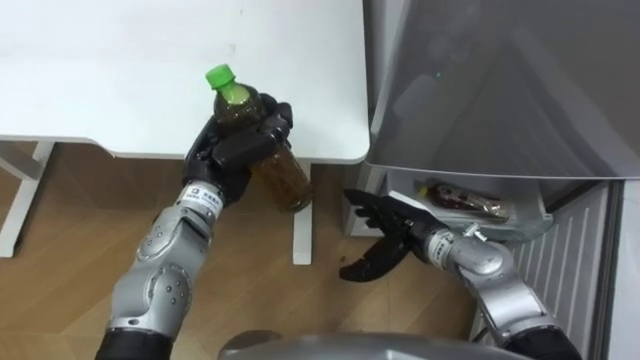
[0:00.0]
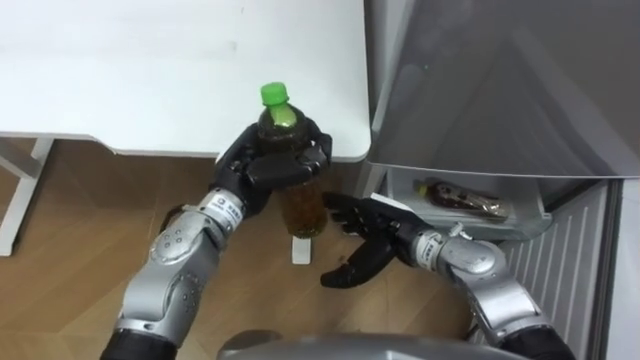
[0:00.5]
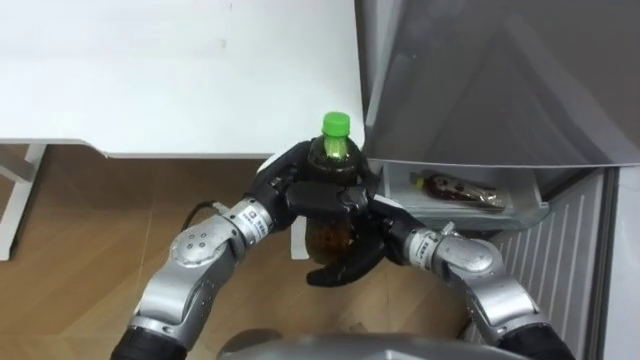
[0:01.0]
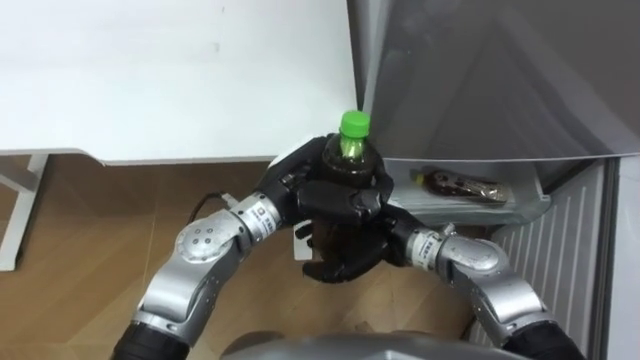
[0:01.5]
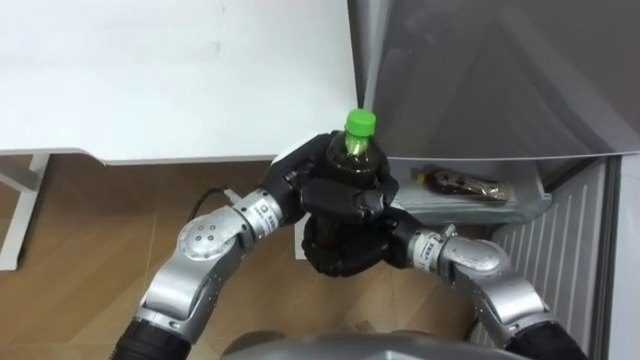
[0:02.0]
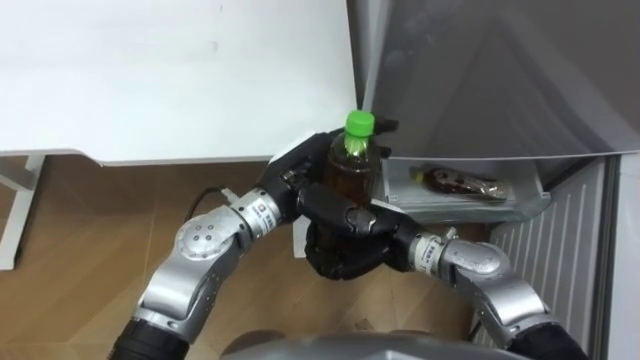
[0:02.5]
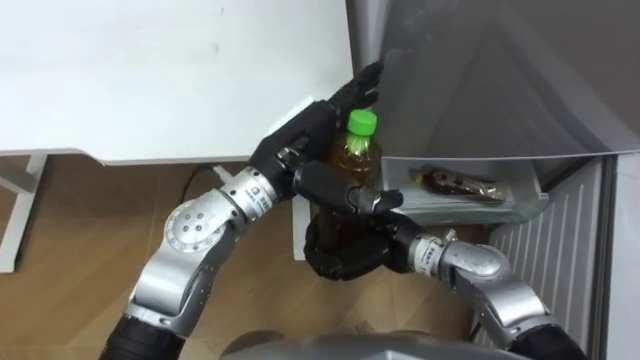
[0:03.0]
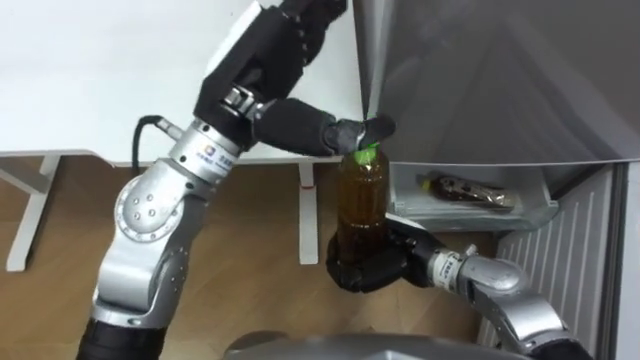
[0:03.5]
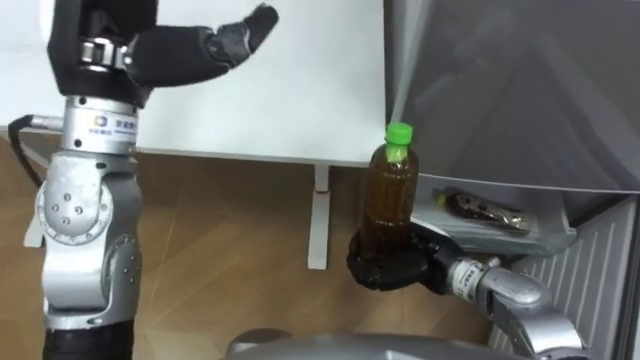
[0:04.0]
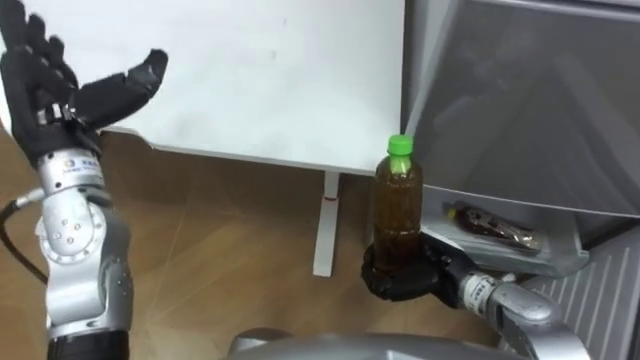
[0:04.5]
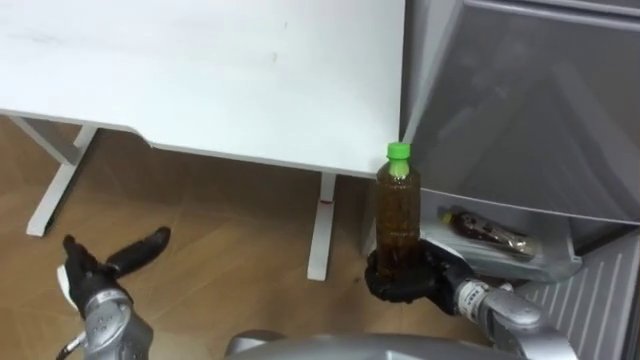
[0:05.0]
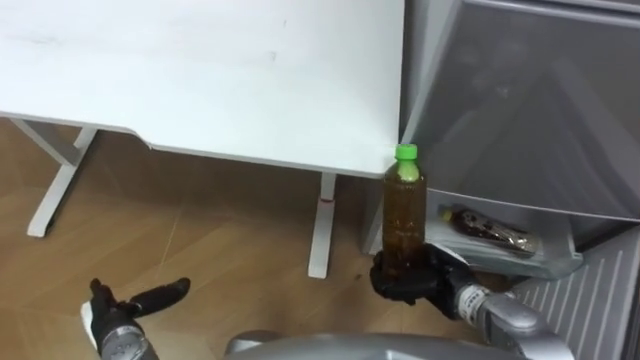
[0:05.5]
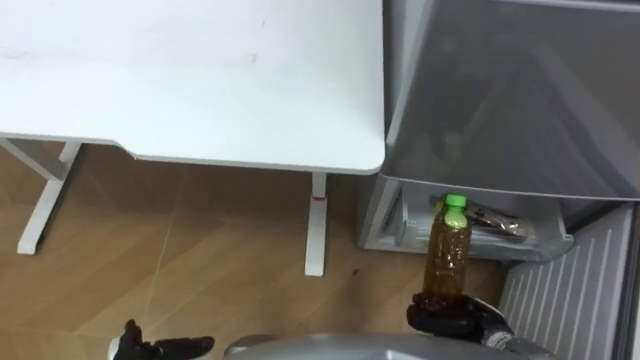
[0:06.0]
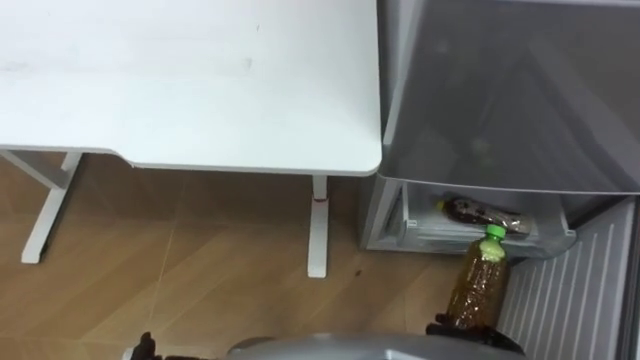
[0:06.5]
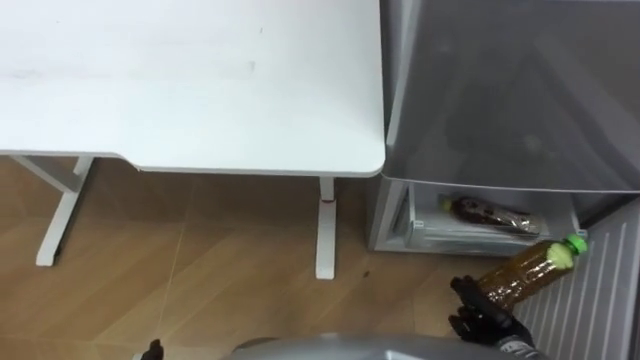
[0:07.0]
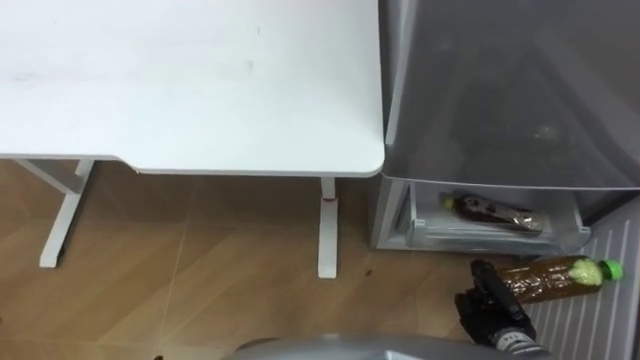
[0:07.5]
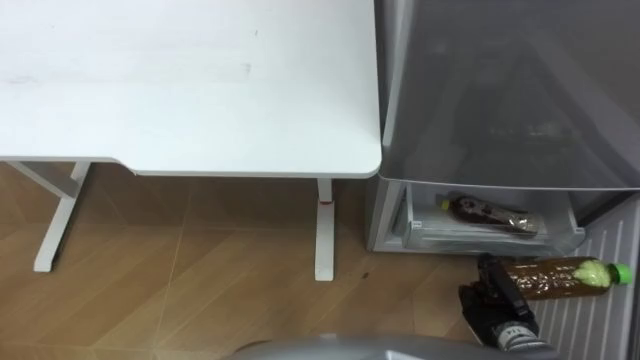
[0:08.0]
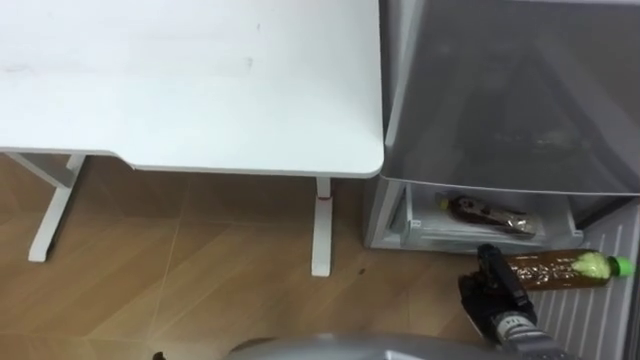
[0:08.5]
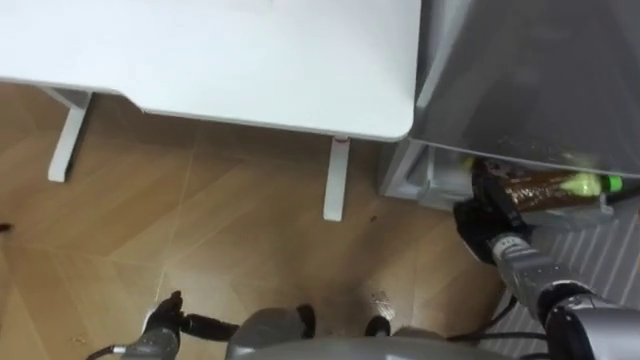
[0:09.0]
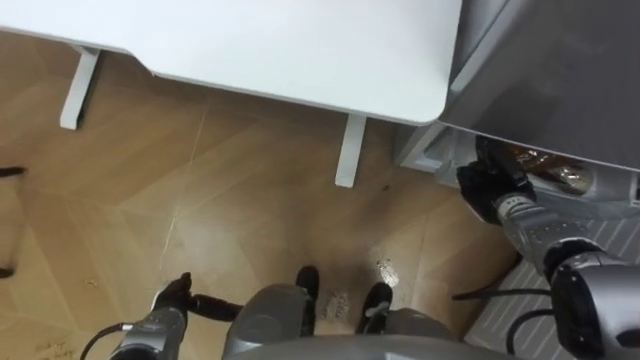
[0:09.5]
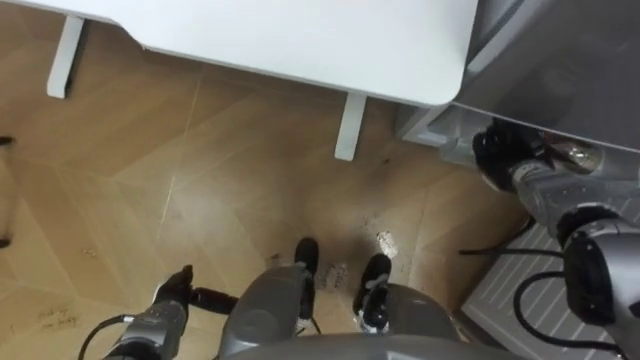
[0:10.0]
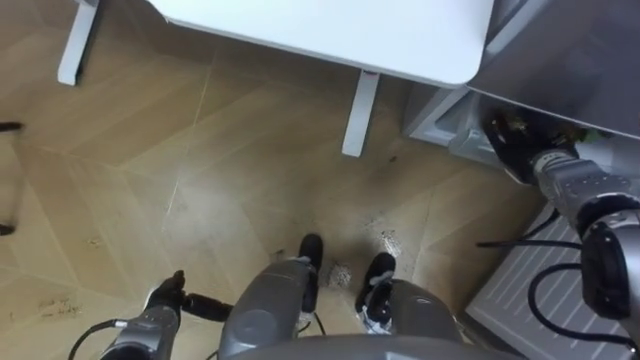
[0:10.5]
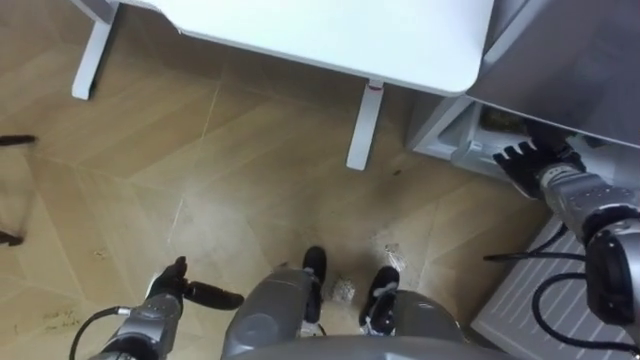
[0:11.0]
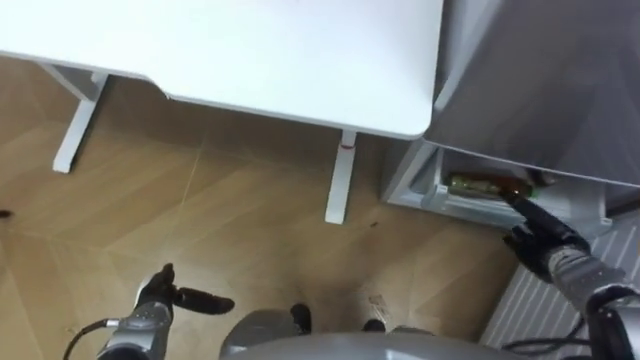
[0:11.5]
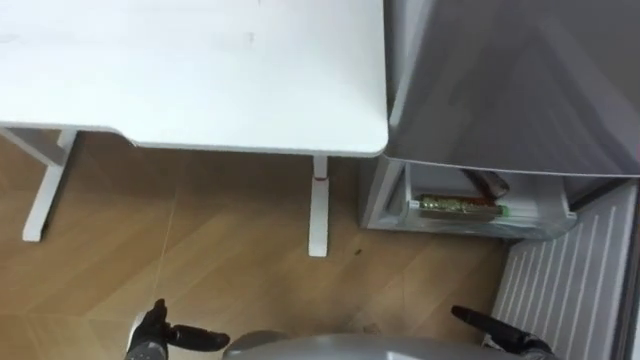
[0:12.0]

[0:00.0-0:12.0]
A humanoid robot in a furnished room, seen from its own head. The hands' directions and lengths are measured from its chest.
Task of the whole recording: Place the drink on the table on the bottom shelf of the refrigerator, then close the drawer and the refrigerator door.
0:00.0 to 0:02.0: The right hand ends up about 5 cm from where it was, and closes up. Meanwhile the left hand moves to the right, approximately 10 cm.
0:02.0 to 0:04.0: The right hand moves to the right, approximately 5 cm; the left hand is displaced upward and to the left by some 25 cm, and opens up.
0:04.0 to 0:06.0: The right hand travels downward, backward and to the right by approximately 15 cm.
0:08.0 to 0:10.0: The right hand is displaced forward and upward by about 25 cm.
0:10.0 to 0:12.0: The left hand changes place by approximately 5 cm; the right hand shifts about 30 cm backward and downward, and opens up.

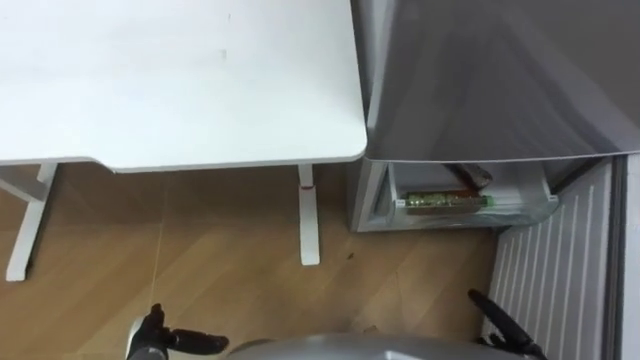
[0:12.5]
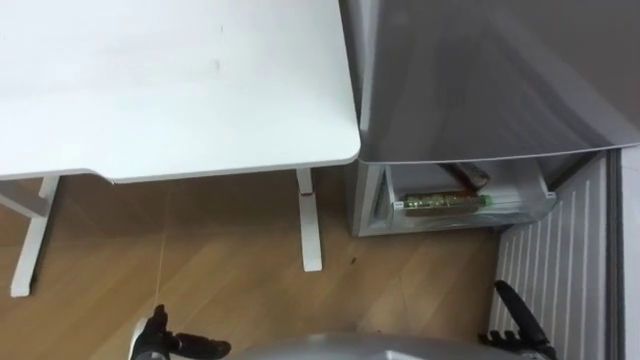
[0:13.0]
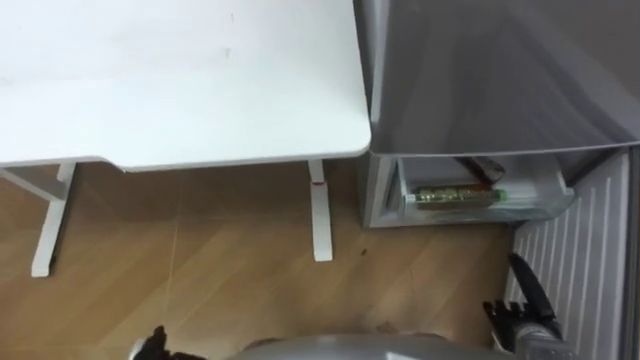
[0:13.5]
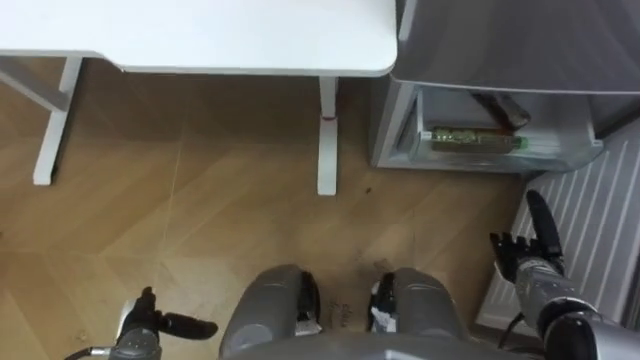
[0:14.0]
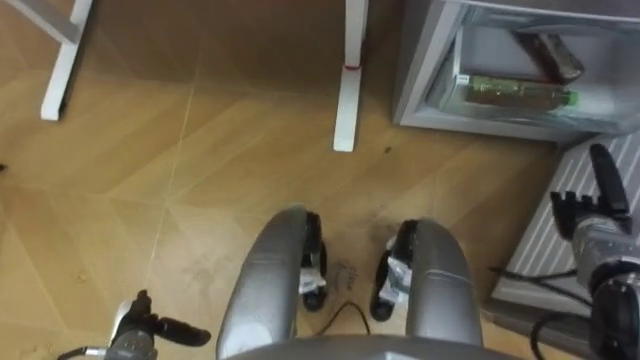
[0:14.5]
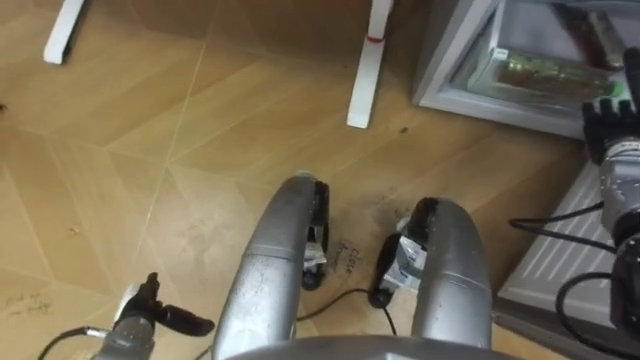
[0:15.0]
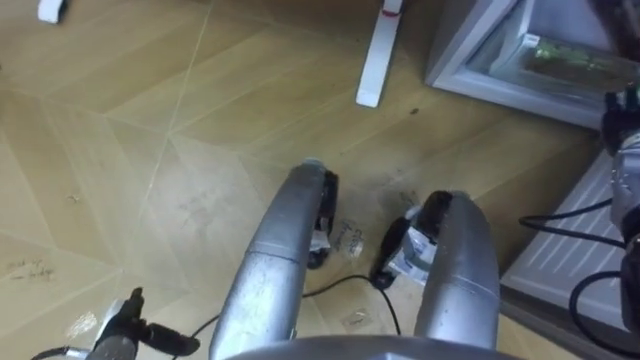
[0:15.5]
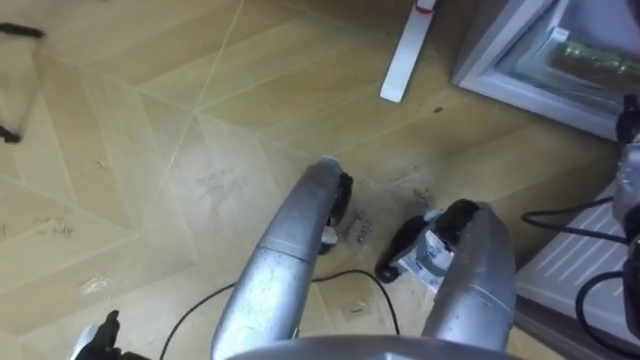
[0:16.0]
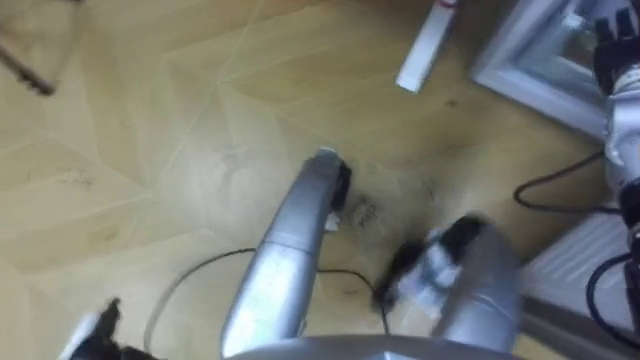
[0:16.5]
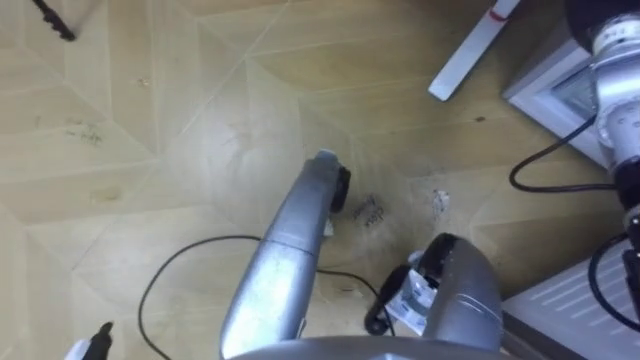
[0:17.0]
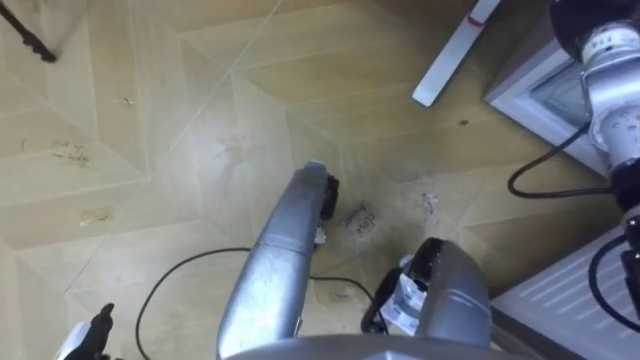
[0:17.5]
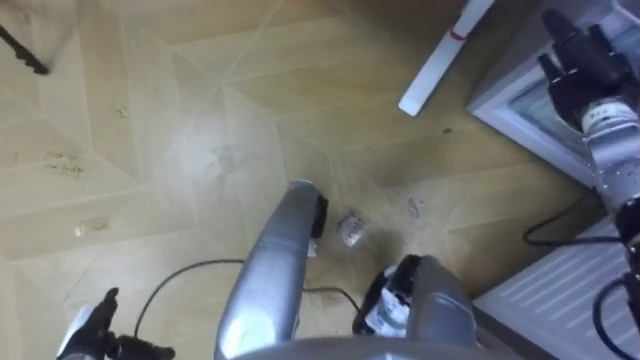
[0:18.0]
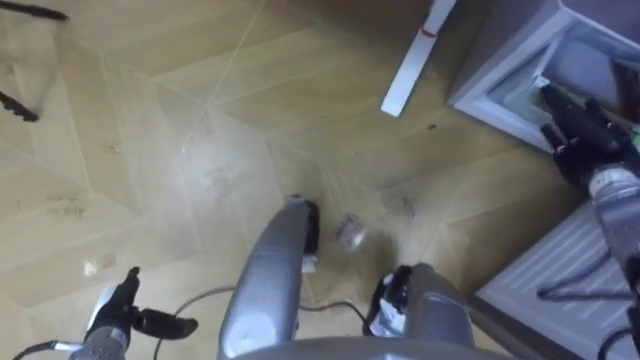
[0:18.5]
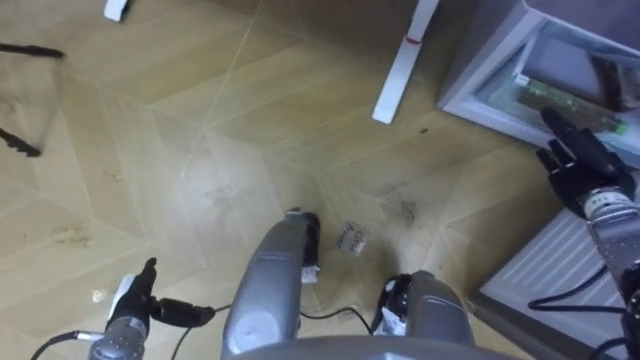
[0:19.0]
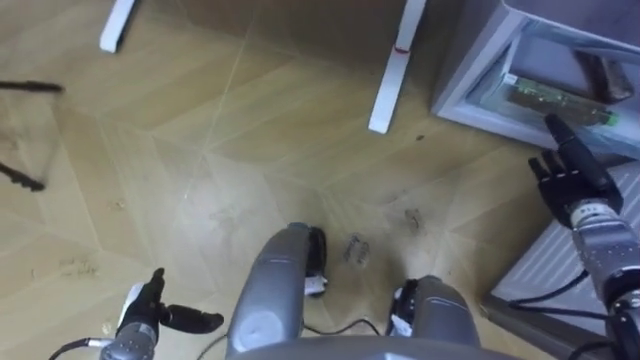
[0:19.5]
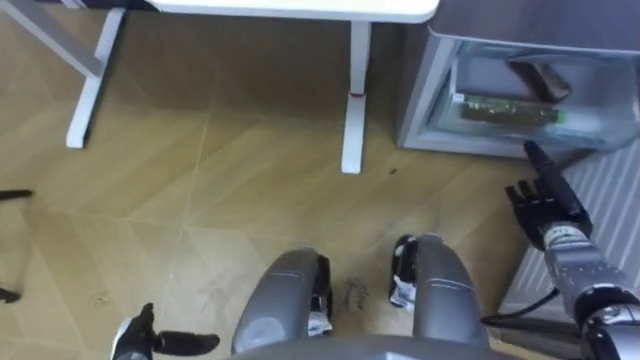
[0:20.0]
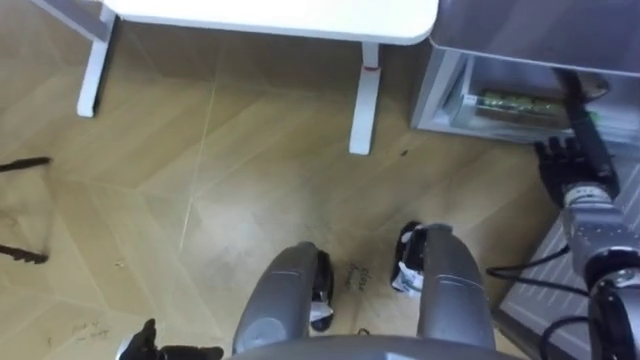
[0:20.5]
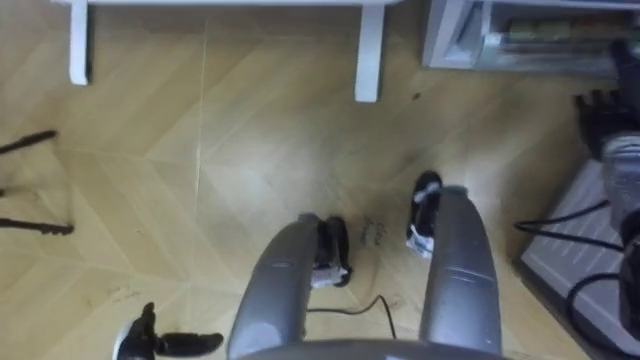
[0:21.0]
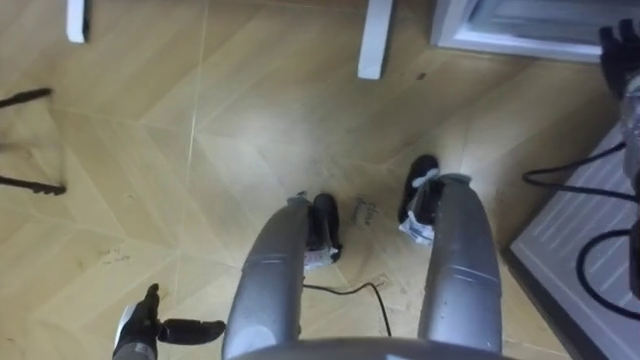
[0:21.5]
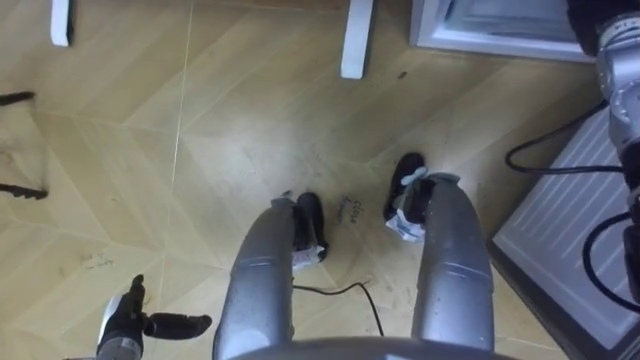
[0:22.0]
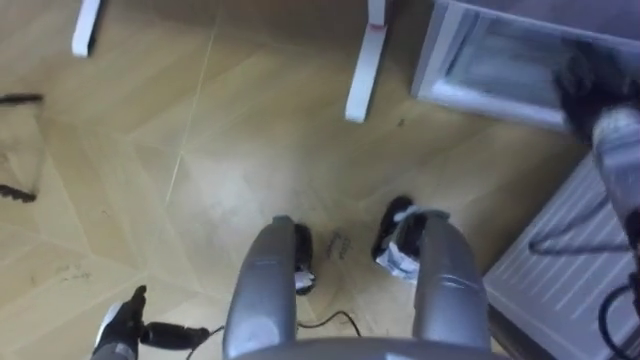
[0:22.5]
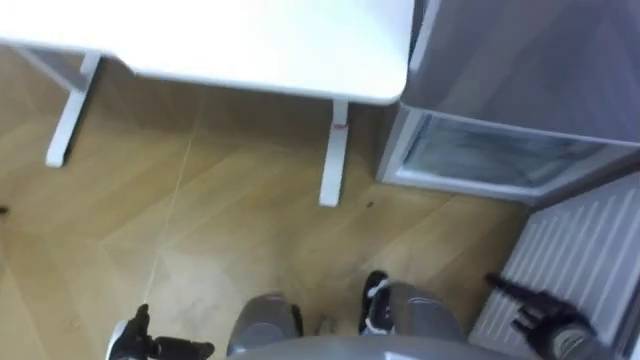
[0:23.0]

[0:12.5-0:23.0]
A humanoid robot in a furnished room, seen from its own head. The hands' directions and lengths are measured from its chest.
Task of the whole recording: Place the drink on the table on the bottom shelf of the refrigerator, then close the drawer and the refrigerator door.
0:14.5 to 0:16.5: The right hand is displaced upward and forward by about 25 cm.
0:19.0 to 0:21.0: The right hand shifts approximately 5 cm forward.
0:21.0 to 0:23.0: The right hand shifts approximately 30 cm backward and downward.
